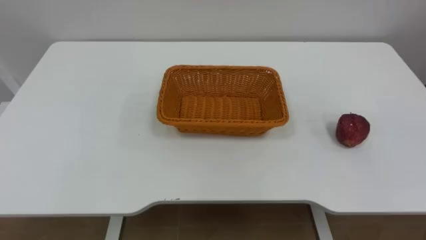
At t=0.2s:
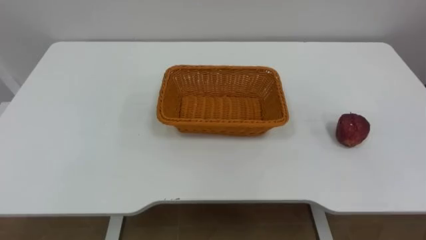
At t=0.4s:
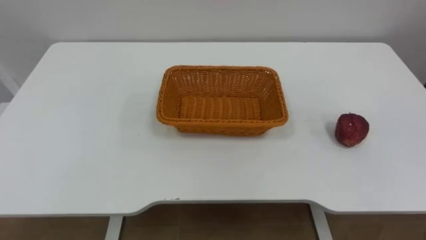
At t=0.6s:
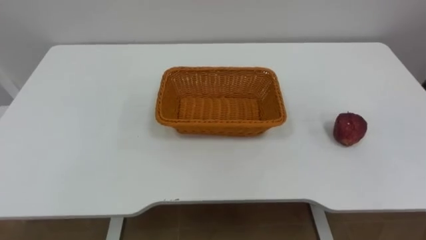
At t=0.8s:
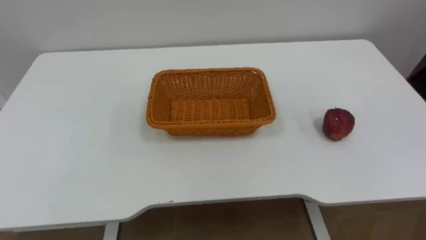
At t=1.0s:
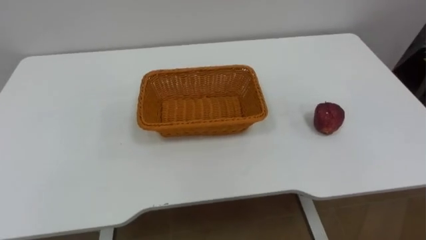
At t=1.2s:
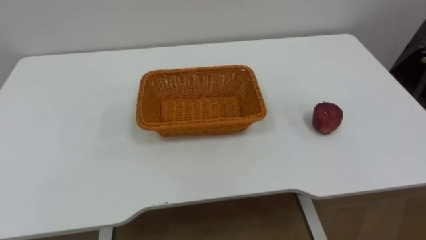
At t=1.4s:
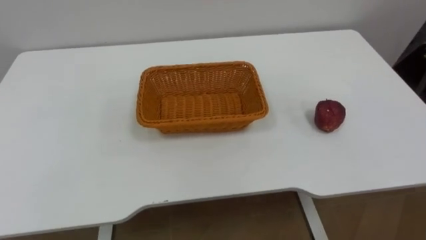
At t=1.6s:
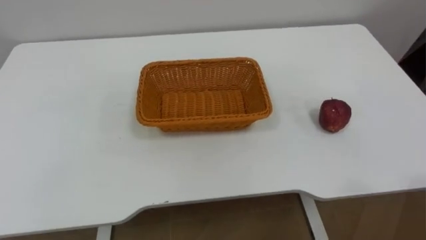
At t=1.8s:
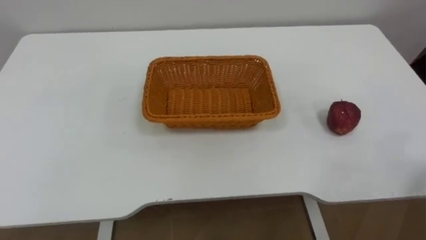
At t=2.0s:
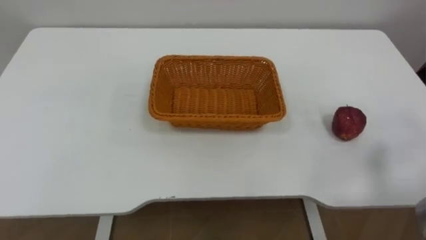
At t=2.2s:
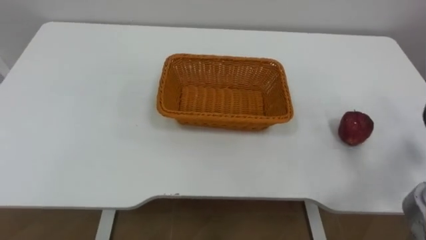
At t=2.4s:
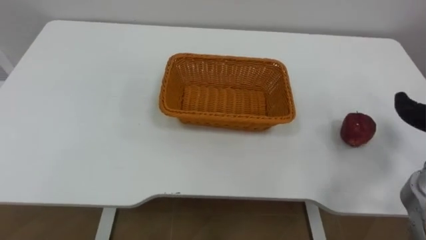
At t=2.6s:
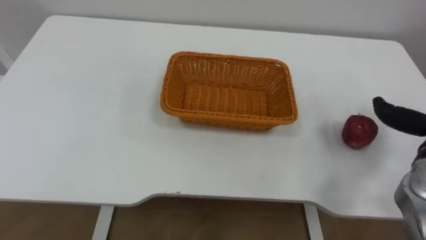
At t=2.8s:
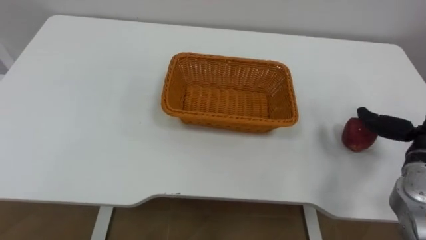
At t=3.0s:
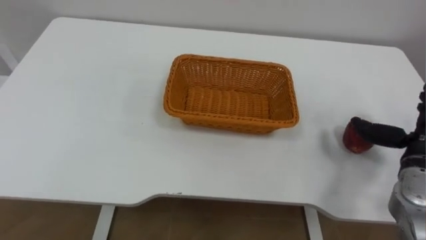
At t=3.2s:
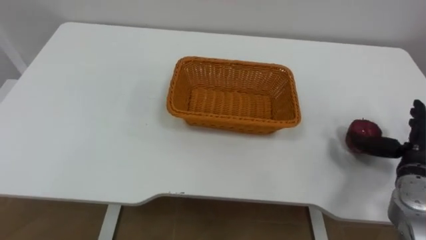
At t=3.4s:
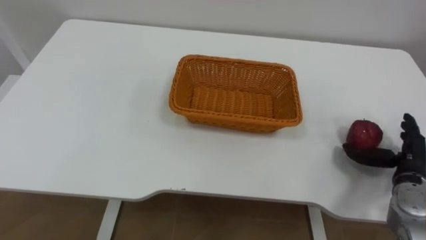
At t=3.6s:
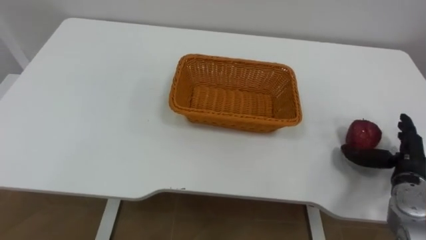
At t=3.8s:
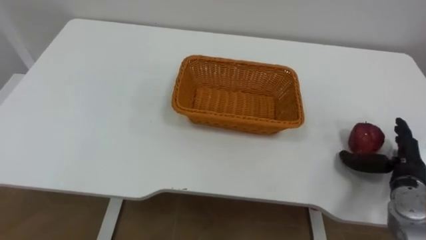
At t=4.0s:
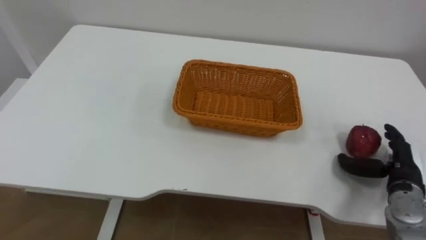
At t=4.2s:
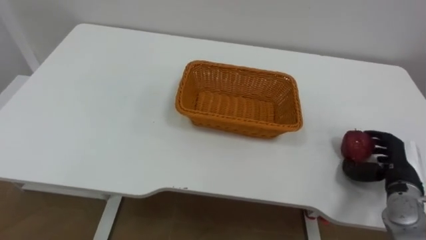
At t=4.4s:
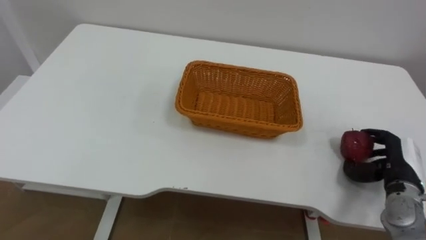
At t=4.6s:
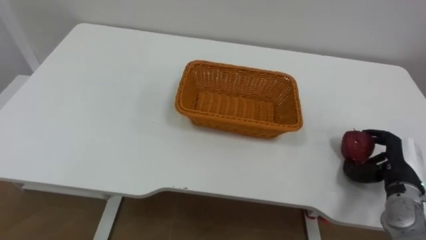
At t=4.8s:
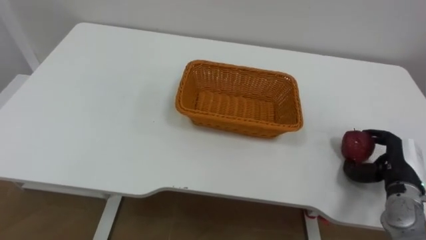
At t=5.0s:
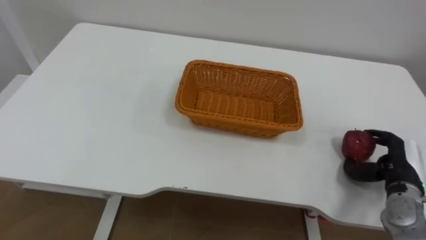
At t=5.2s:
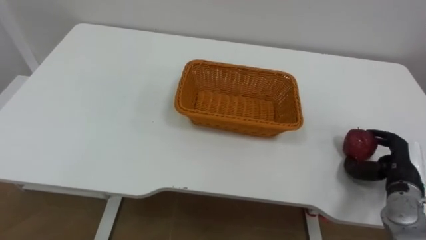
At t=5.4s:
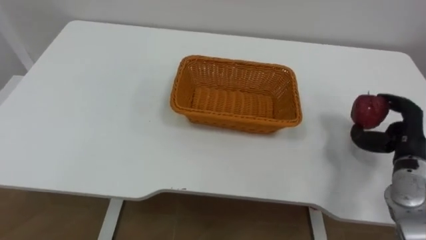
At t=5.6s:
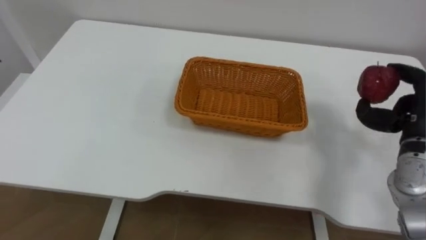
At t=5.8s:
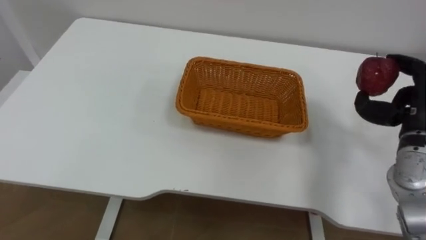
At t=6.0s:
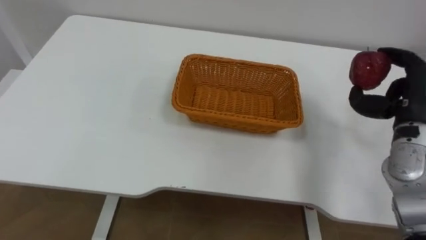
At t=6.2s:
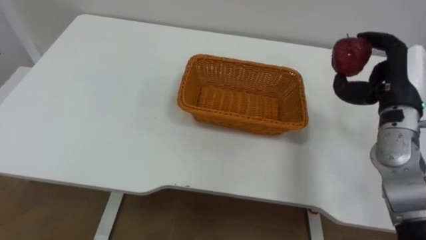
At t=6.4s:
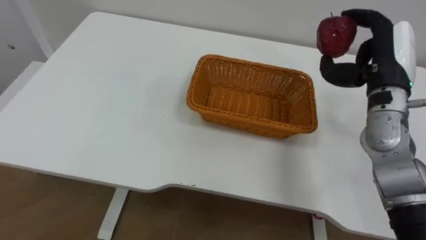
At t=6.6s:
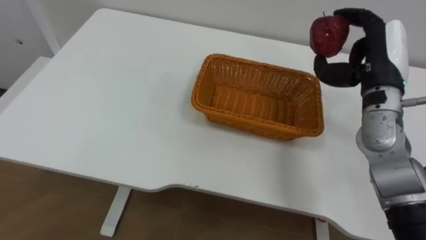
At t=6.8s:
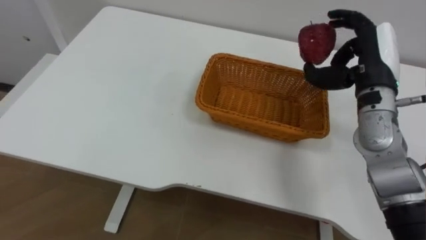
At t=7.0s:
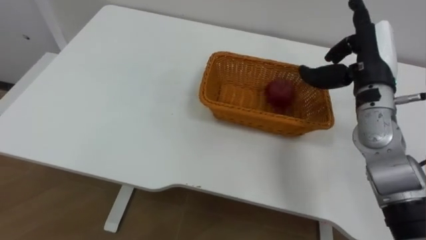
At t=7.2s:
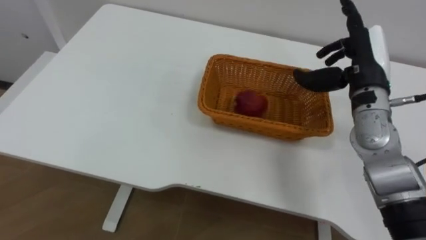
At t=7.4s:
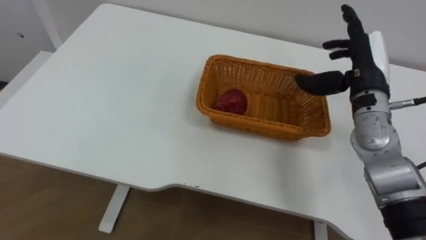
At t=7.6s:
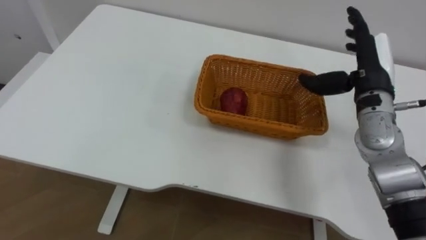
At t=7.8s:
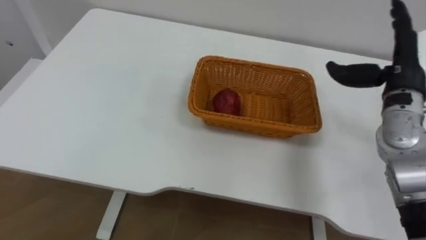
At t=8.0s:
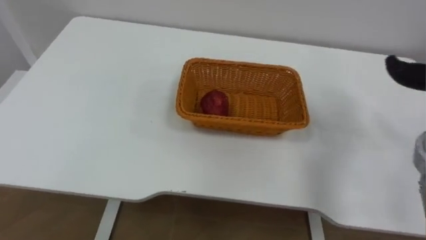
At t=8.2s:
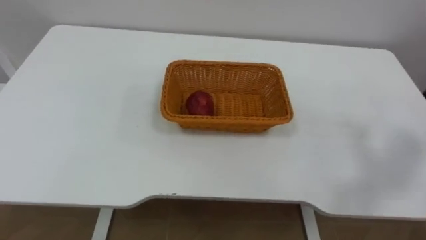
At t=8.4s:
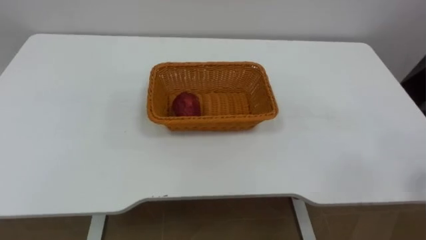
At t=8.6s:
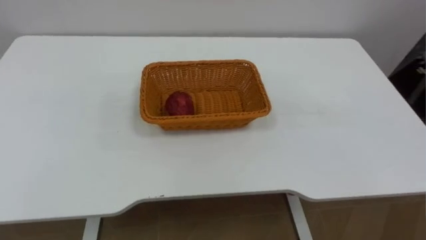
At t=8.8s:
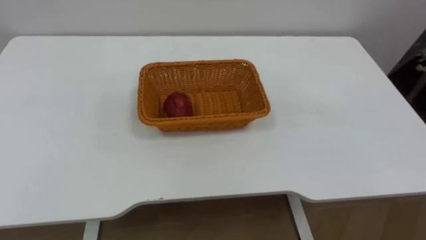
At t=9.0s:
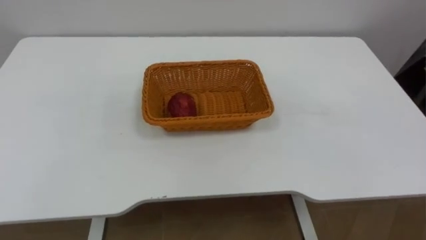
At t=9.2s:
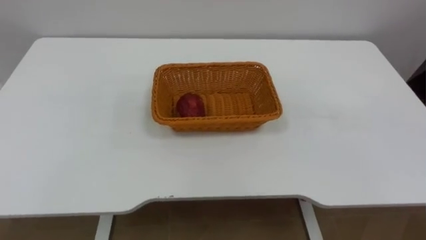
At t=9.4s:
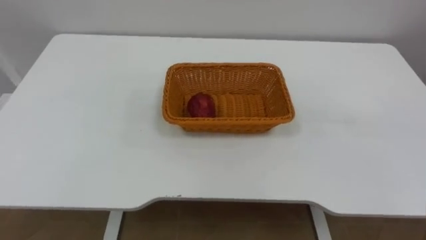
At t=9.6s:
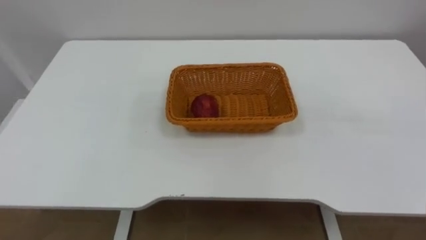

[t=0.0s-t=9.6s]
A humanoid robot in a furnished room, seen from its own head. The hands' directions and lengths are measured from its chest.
Task of the whole recording: Pick the apple and place it in the box.
t=3.2s to t=4.8s: The right hand closes.
t=4.8s to t=6.4s: The right hand heads upward, forward and to the left, covering approximately 25 cm.

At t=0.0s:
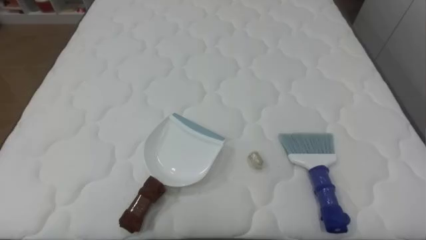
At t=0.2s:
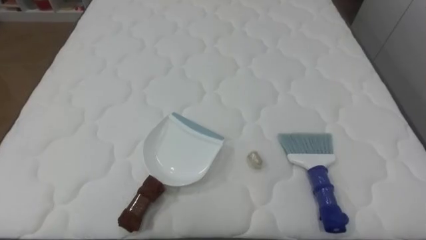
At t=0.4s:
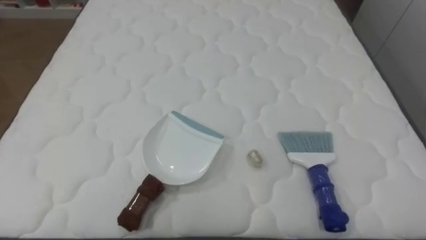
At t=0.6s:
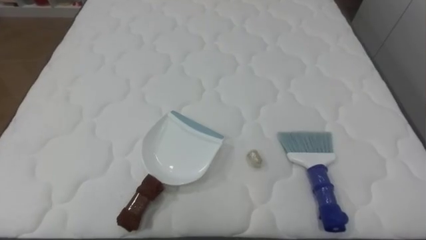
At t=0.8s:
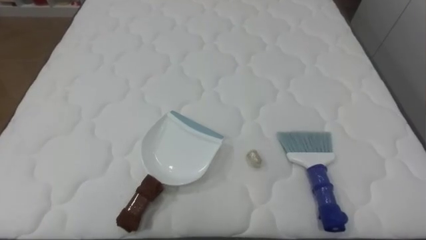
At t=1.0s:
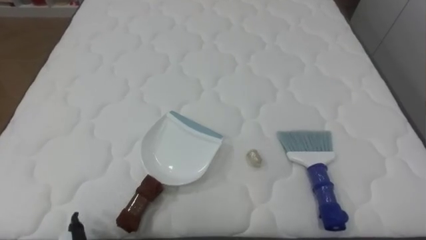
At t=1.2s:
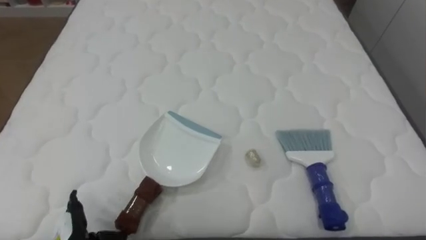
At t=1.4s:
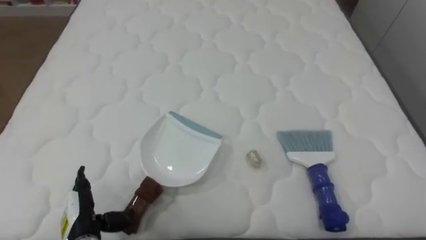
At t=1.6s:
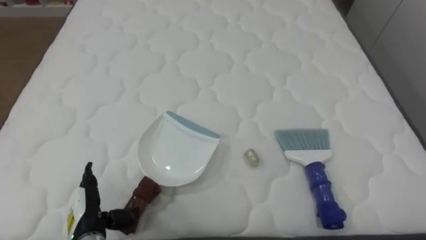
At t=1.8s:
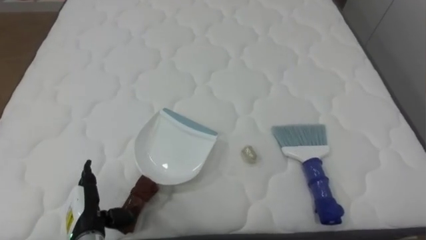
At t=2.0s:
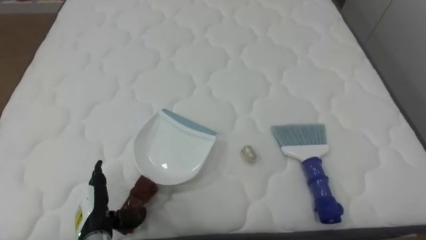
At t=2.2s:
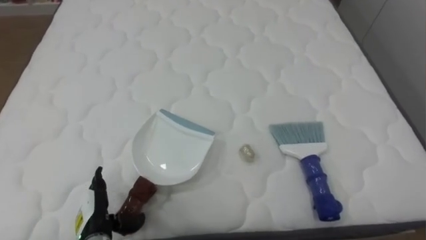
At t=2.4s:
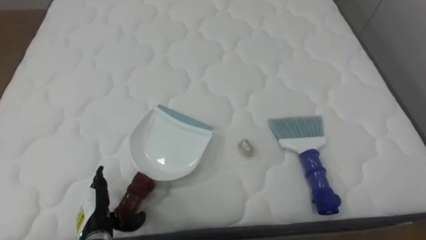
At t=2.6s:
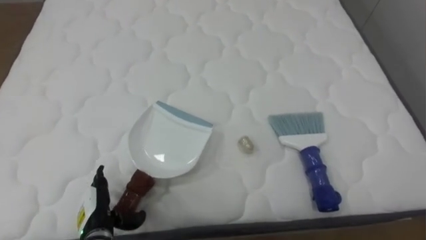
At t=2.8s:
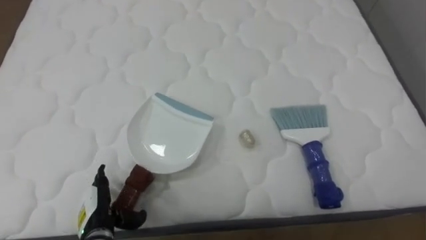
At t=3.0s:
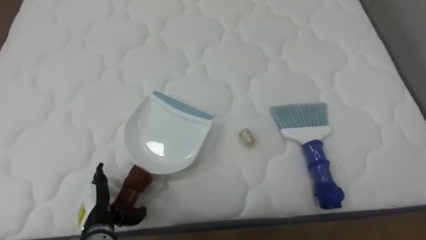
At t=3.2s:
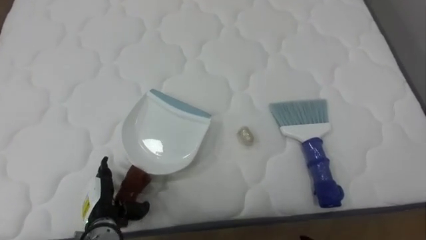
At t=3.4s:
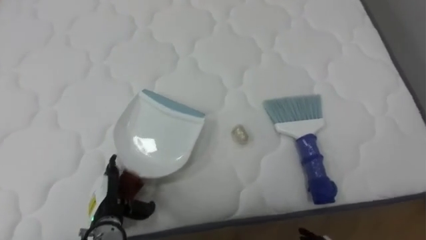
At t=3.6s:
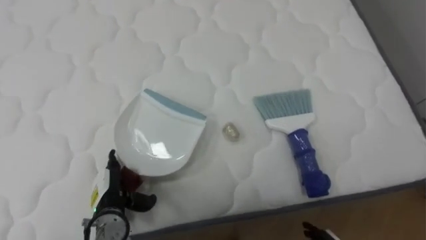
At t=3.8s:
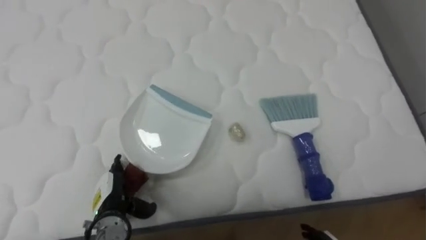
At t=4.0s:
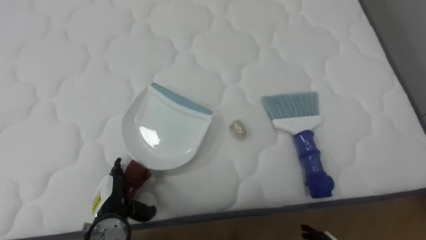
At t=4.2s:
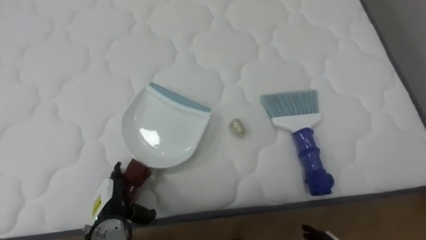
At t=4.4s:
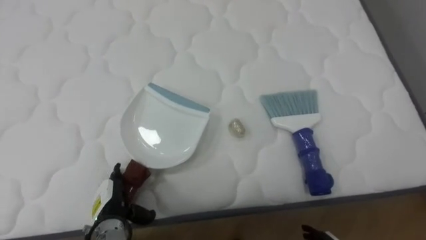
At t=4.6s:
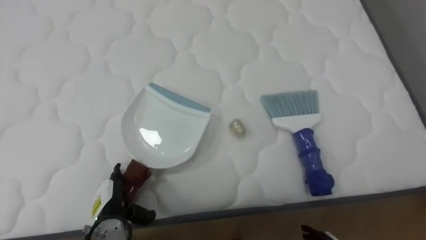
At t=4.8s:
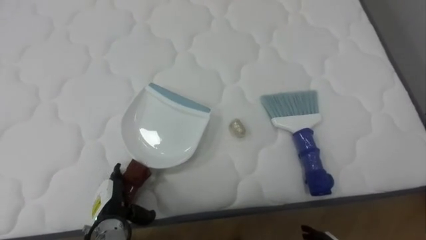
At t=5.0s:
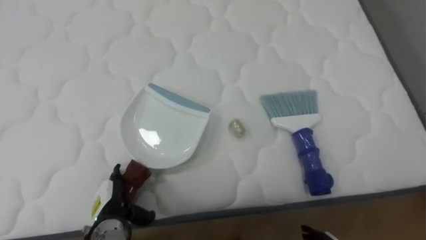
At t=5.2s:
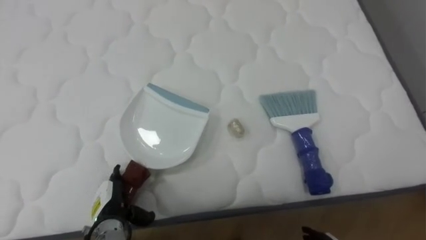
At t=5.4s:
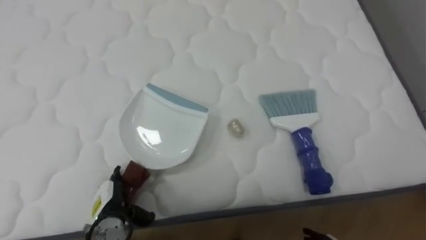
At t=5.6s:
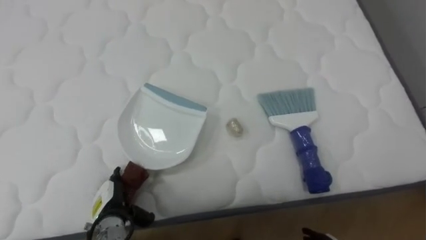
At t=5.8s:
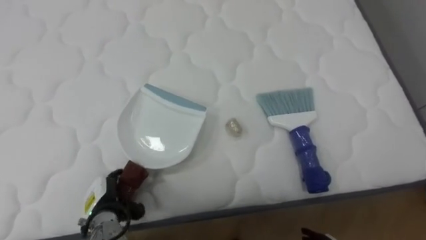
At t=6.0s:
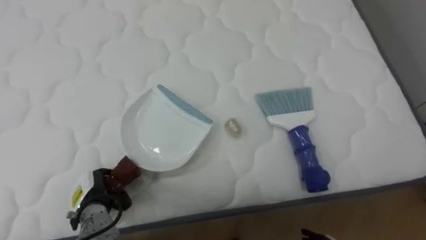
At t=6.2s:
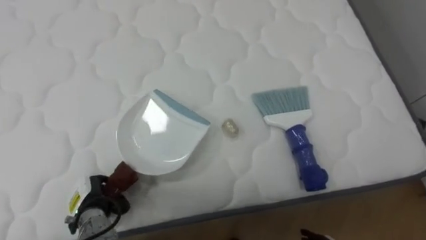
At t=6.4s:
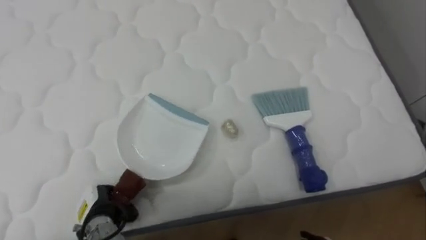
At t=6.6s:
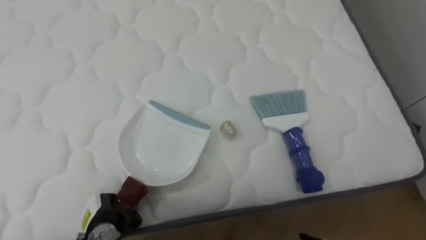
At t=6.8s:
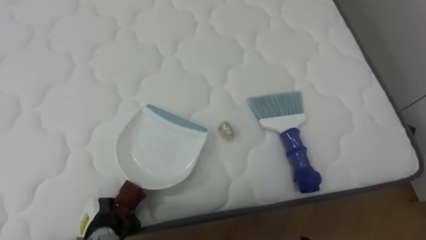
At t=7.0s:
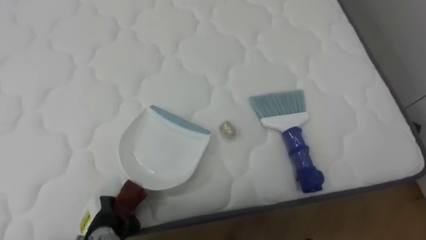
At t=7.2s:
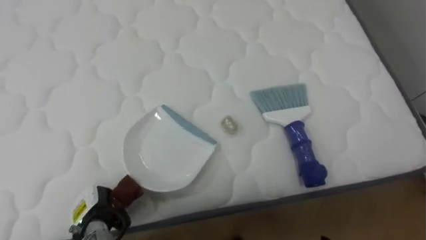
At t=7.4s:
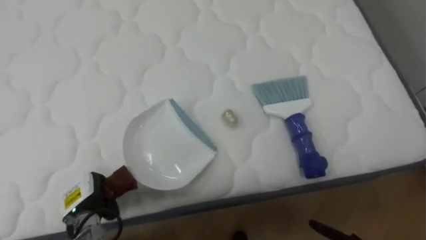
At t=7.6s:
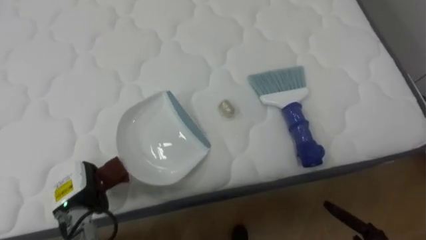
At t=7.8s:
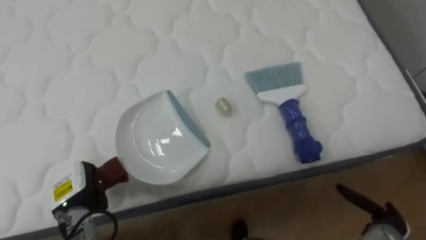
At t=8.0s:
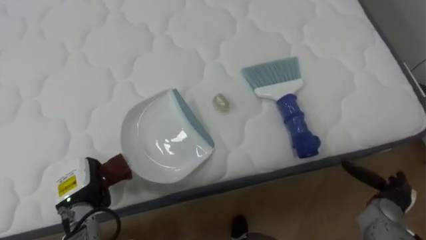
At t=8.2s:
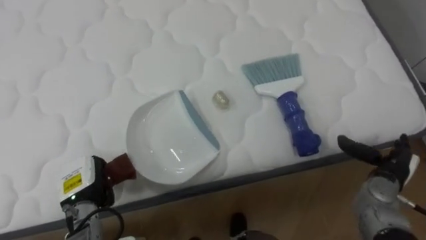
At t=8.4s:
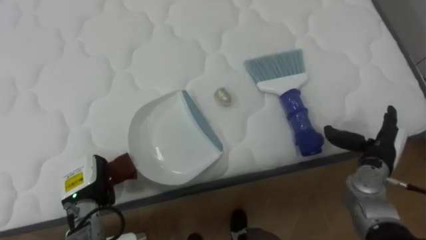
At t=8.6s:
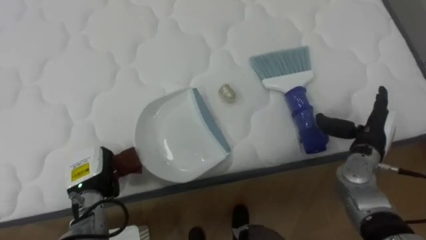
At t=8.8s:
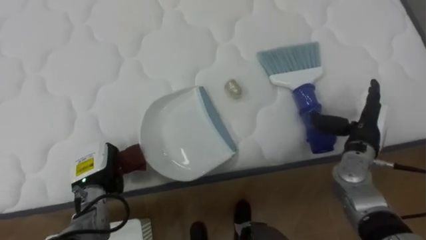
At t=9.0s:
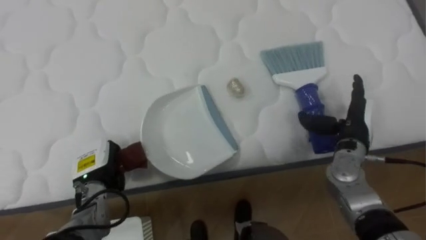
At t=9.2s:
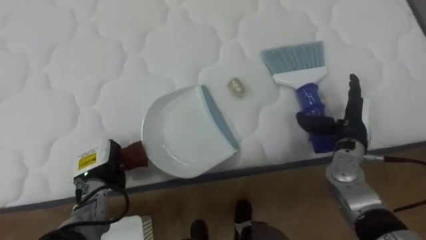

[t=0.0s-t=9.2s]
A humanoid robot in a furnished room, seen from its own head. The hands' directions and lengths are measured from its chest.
Task of the whole recording: Pick up the brush on your right and the dustpan on your left. Use the brush to sweep the crumpled paper on the bed into the dustpan, then turn left and empty it into the basket.
t=4.6s to t=6.2s: The left hand closes its fingers.
t=7.6s to t=9.2s: The left hand moves forward, some 5 cm.
